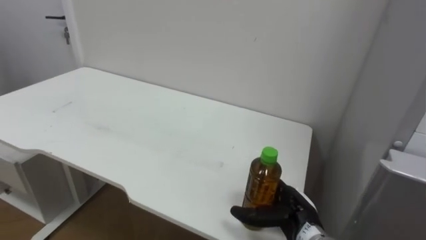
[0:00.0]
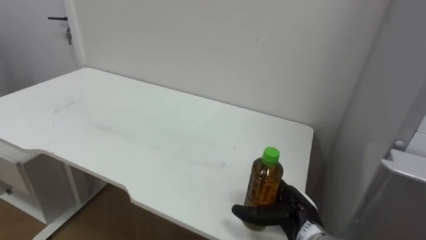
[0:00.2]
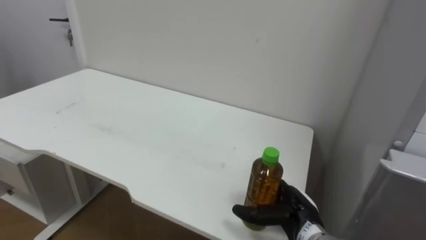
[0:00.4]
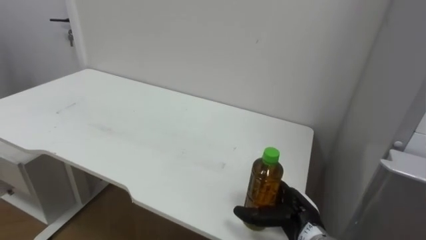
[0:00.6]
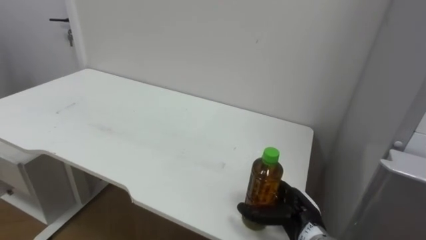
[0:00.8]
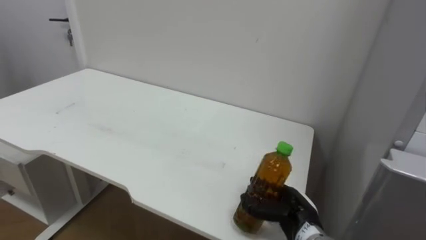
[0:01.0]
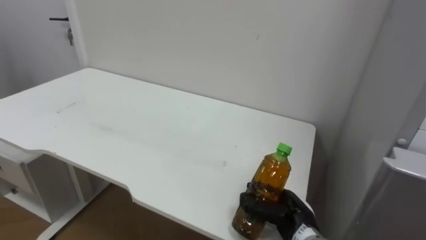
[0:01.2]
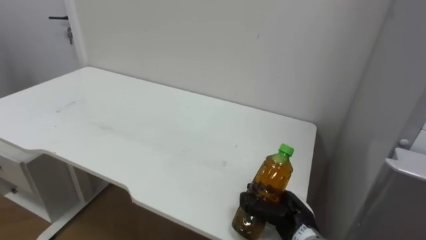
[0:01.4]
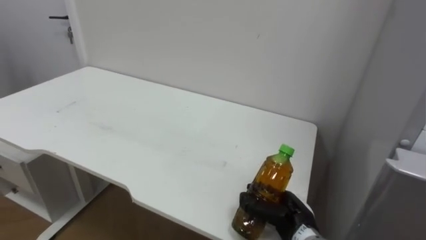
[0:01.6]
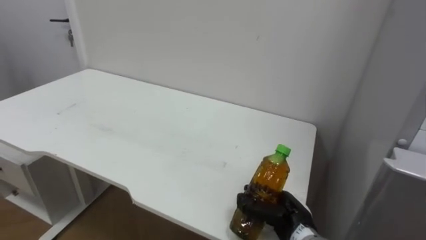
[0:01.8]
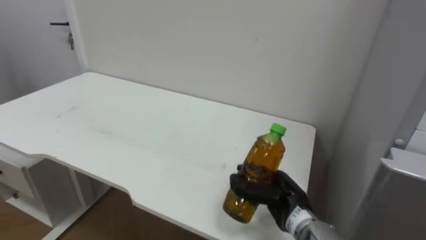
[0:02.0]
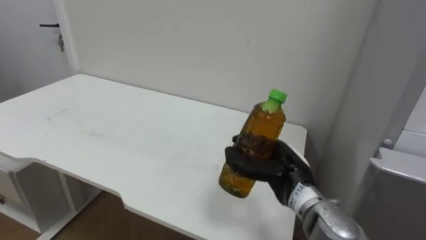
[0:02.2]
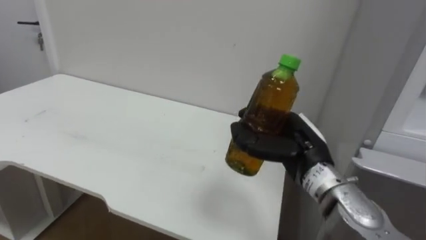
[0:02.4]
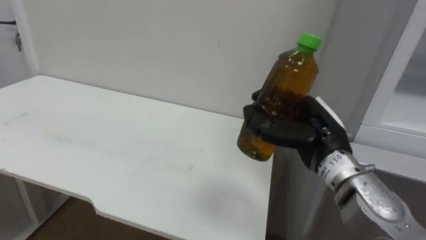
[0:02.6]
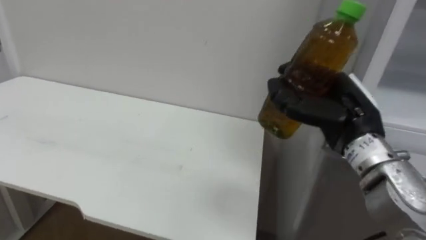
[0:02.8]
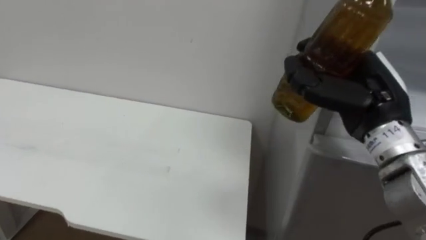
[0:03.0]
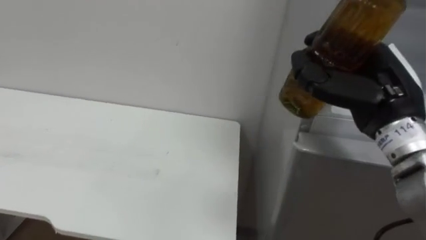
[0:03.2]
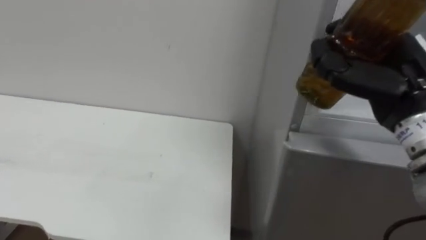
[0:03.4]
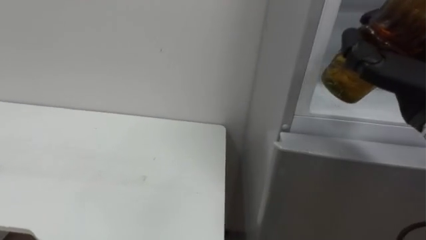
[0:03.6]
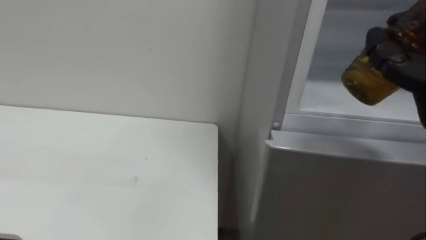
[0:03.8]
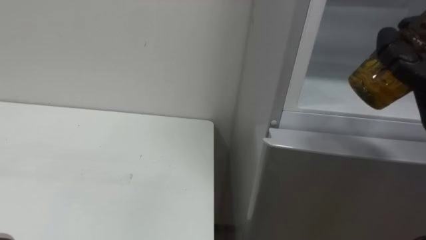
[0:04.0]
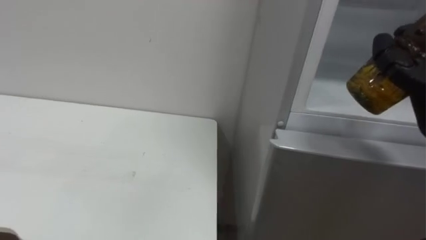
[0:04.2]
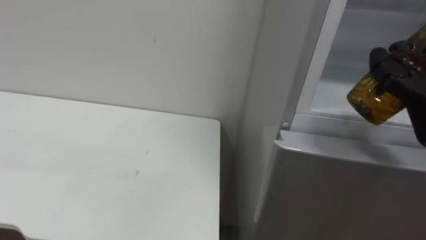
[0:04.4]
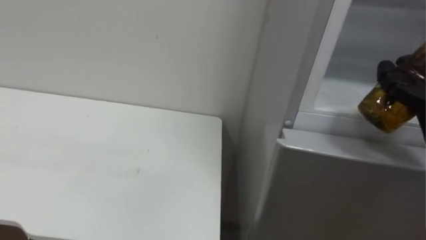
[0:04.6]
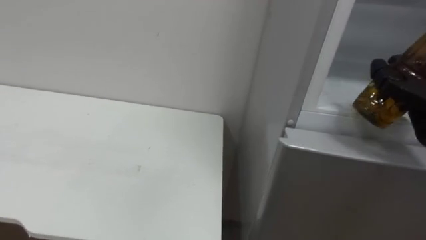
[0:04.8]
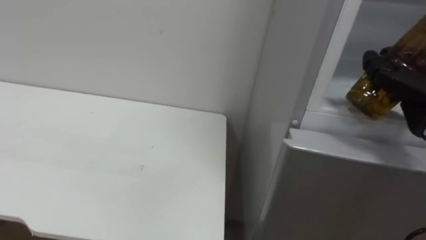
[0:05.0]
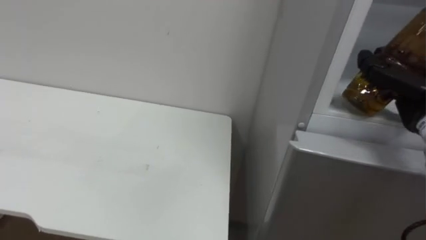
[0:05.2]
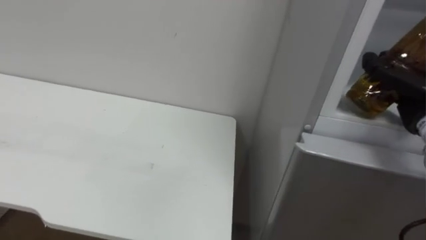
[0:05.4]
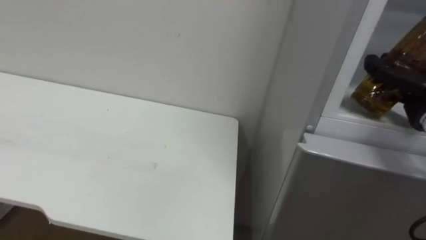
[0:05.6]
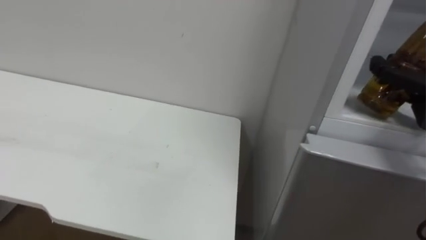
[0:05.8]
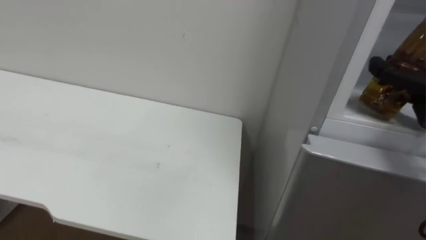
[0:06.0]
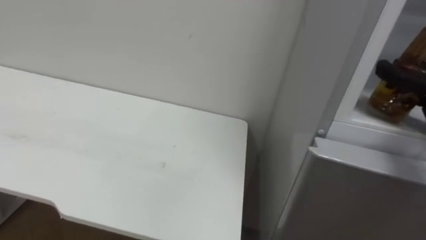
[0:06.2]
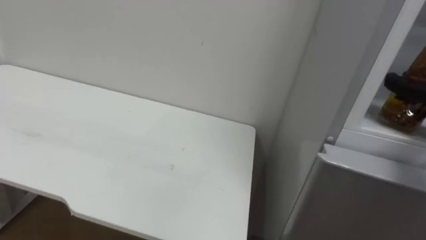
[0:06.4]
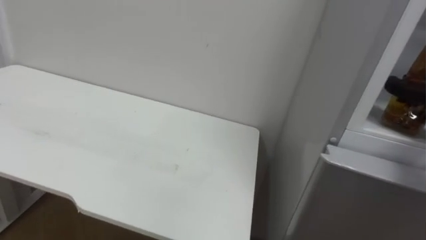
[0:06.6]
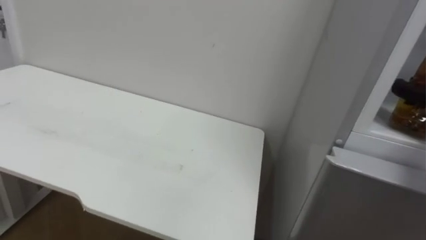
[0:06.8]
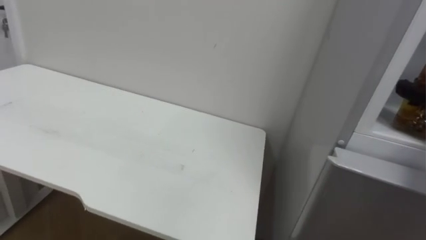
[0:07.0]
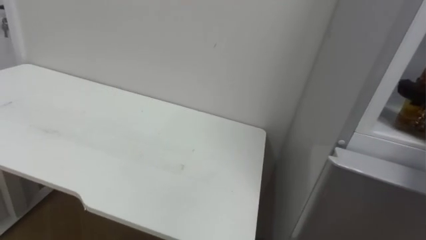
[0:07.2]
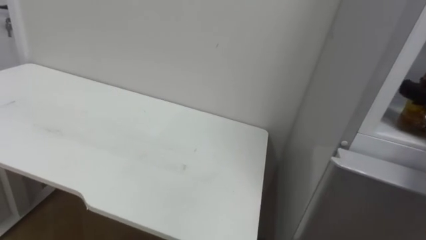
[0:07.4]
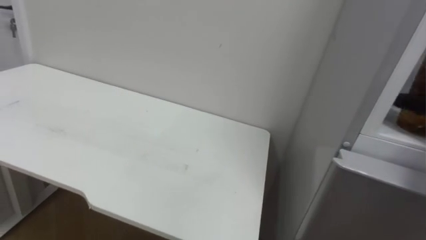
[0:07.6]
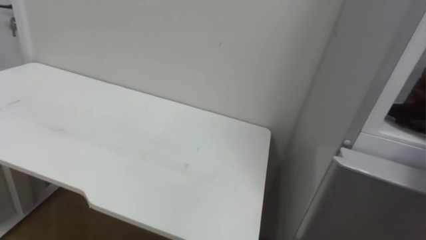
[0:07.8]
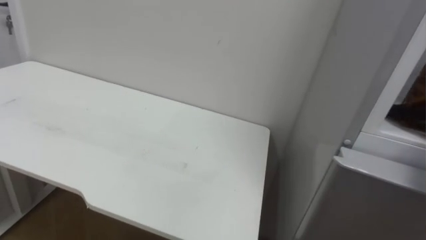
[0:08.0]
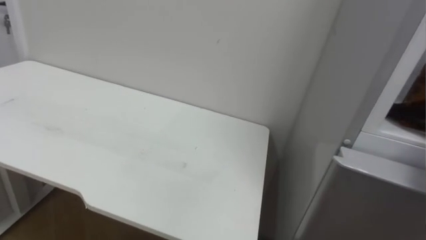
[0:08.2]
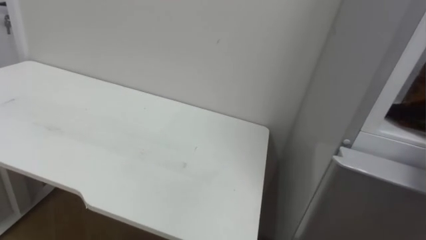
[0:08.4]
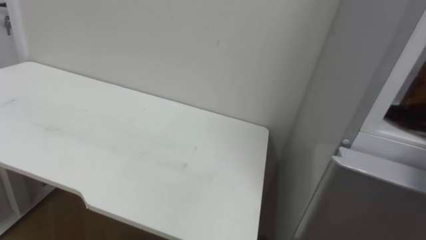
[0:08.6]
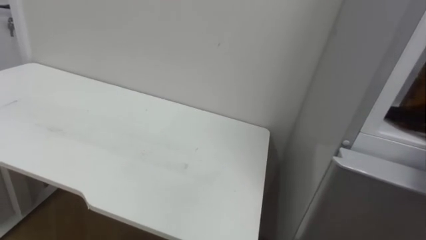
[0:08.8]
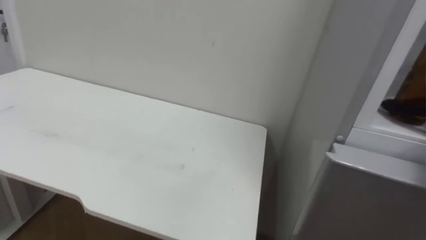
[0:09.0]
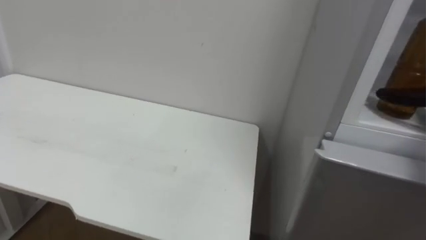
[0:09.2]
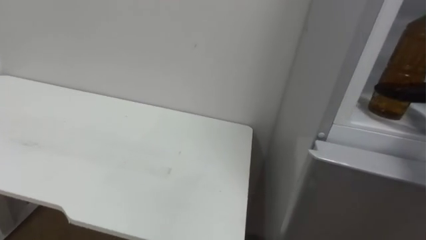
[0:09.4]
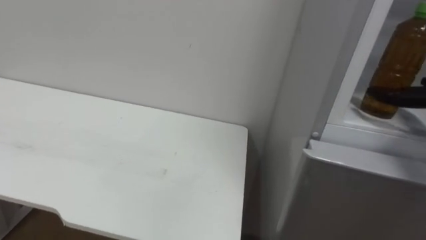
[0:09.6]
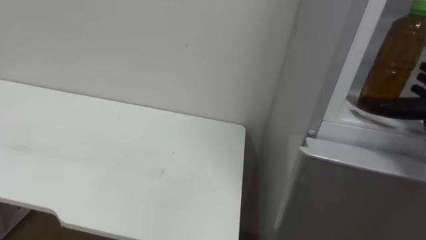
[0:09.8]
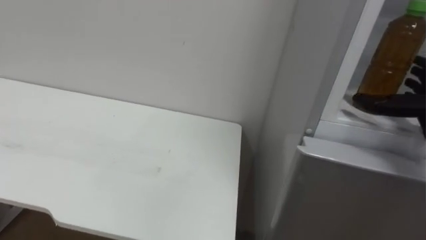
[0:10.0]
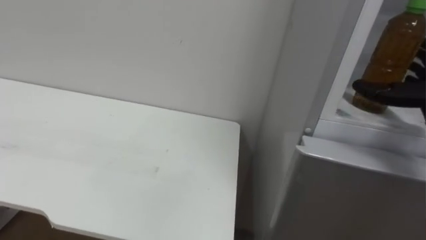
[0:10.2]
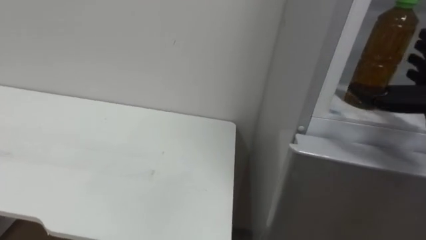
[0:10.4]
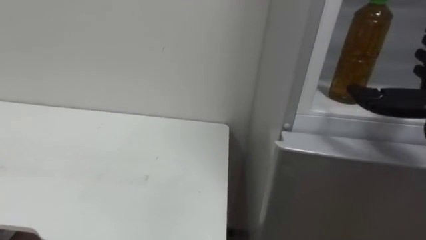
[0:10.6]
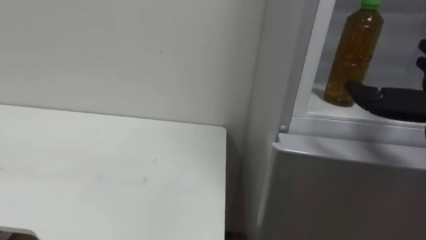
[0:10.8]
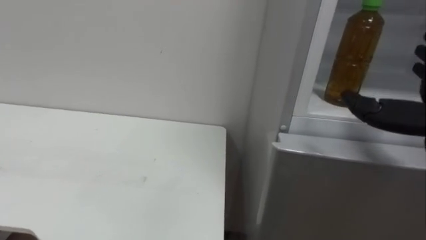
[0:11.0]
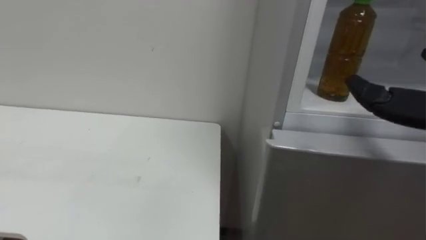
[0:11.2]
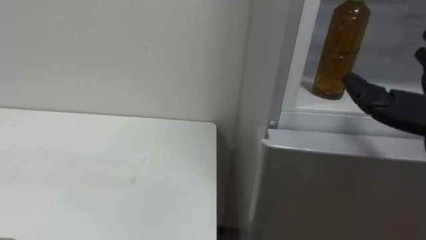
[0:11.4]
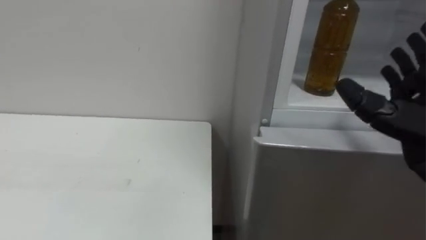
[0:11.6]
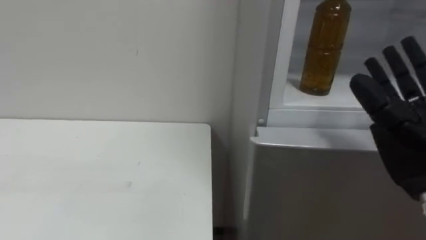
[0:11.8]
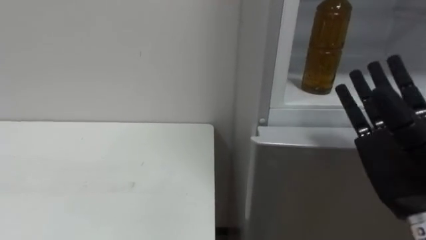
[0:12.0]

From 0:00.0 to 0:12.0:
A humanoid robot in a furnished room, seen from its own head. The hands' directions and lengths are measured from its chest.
Task of the whole recording: Open the upper refrigerator door, put the drink from the table into the refrigerator, and then close the refrigerator door.
From 0:00.0 to 0:01.6: The right hand closes its fingers.
From 0:01.6 to 0:03.0: The right hand goes some 25 cm upward.

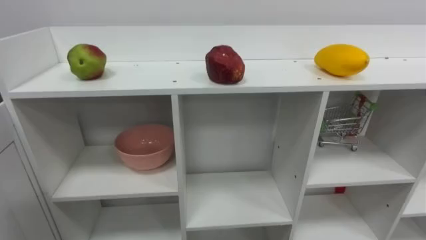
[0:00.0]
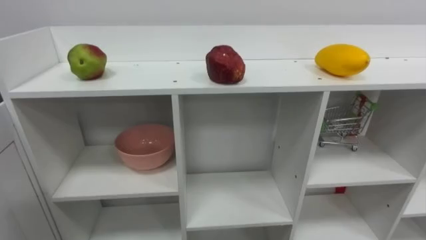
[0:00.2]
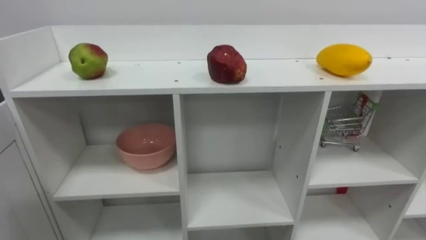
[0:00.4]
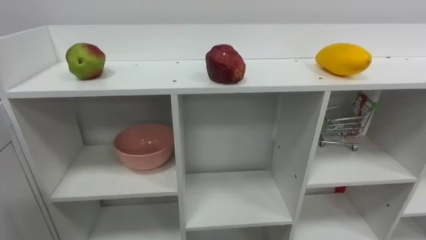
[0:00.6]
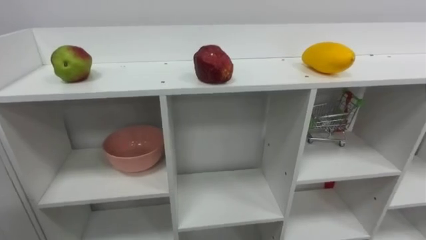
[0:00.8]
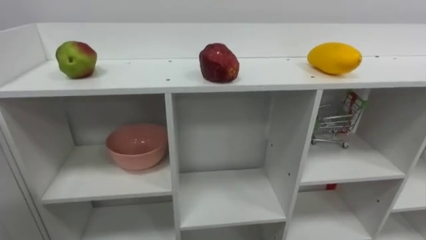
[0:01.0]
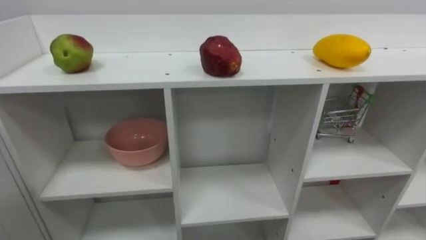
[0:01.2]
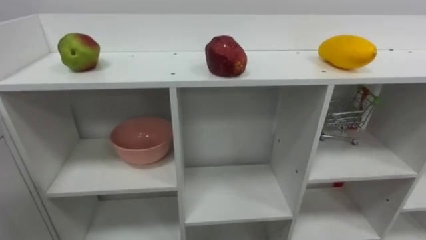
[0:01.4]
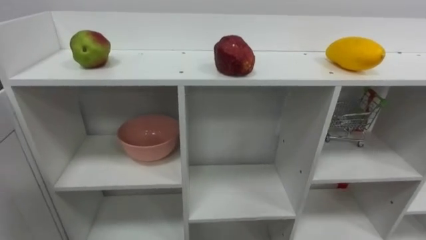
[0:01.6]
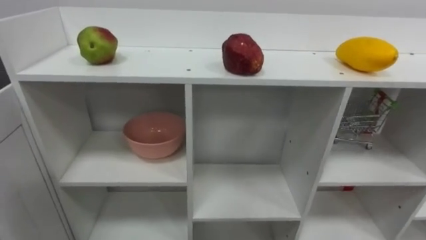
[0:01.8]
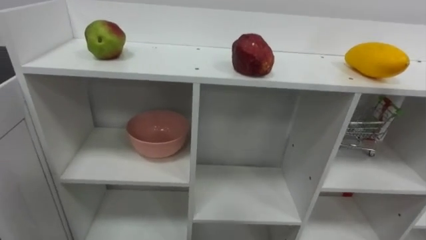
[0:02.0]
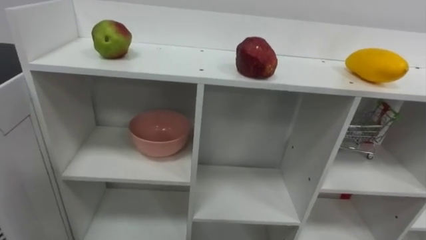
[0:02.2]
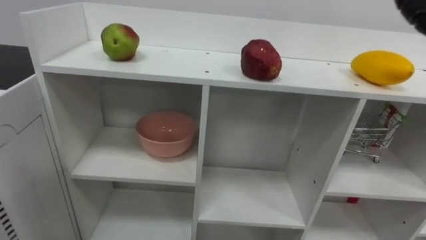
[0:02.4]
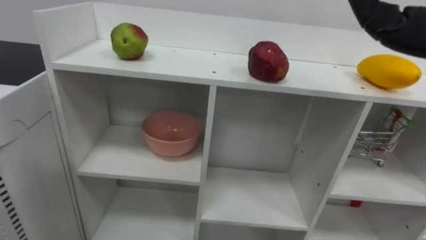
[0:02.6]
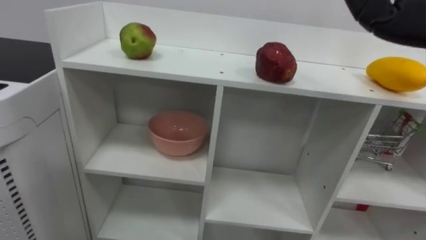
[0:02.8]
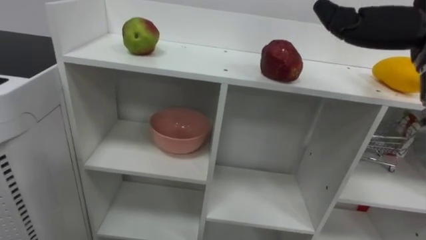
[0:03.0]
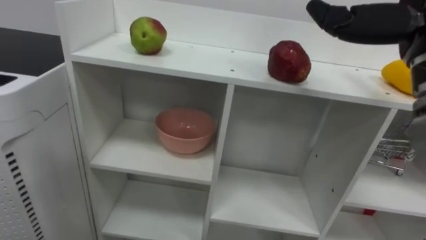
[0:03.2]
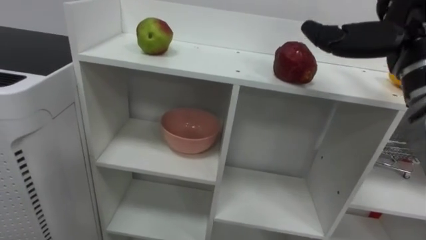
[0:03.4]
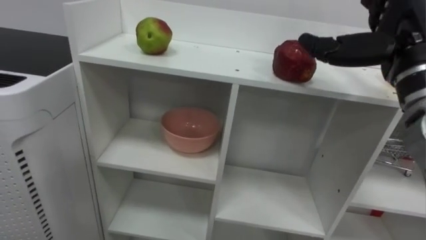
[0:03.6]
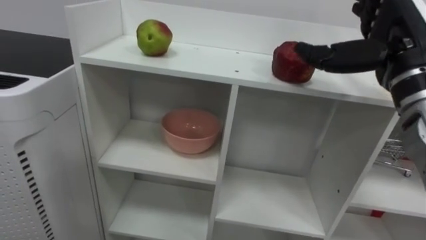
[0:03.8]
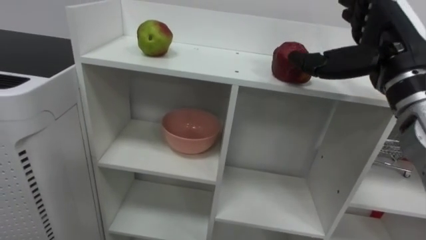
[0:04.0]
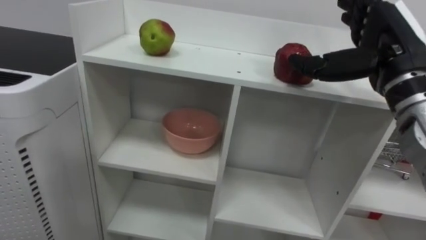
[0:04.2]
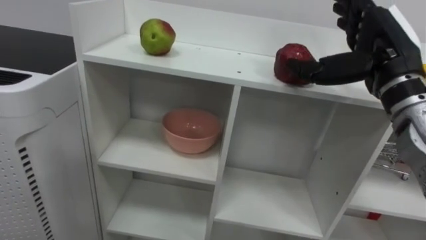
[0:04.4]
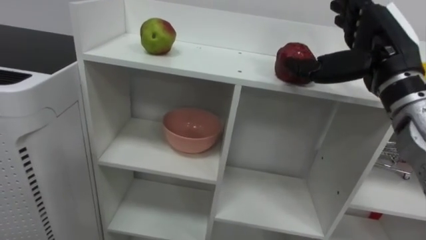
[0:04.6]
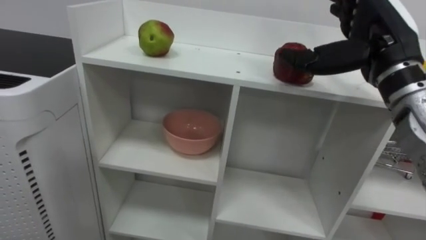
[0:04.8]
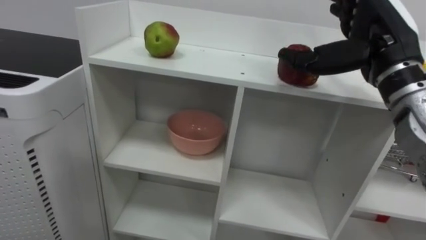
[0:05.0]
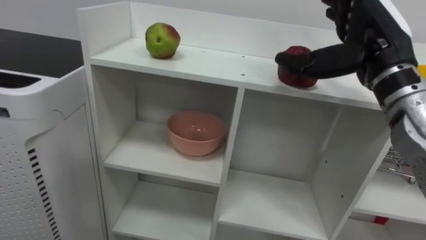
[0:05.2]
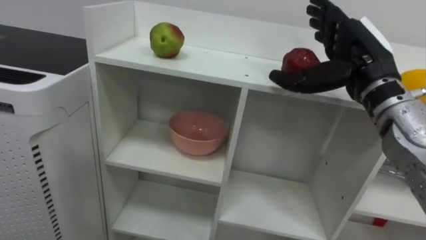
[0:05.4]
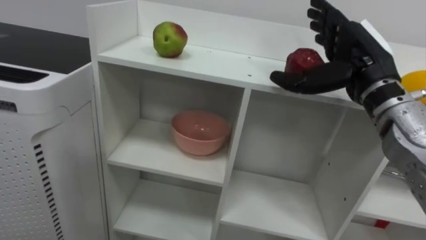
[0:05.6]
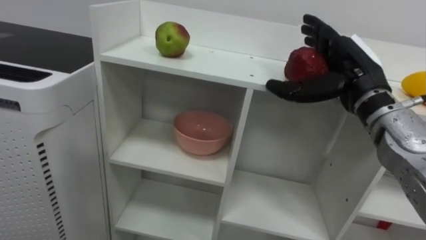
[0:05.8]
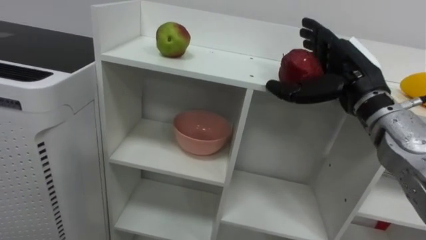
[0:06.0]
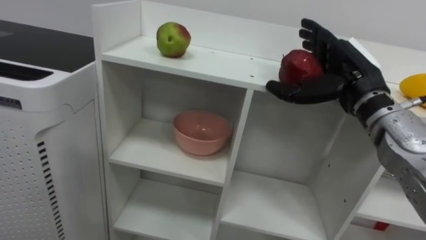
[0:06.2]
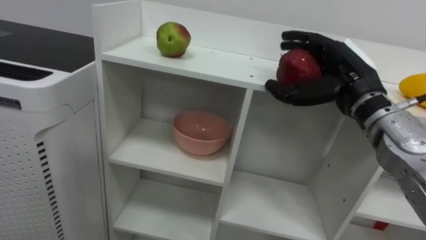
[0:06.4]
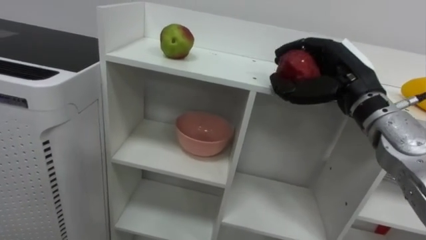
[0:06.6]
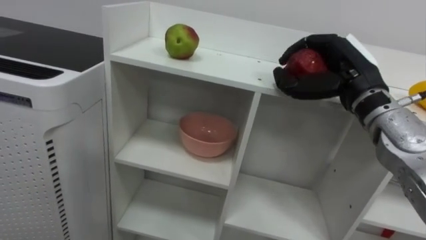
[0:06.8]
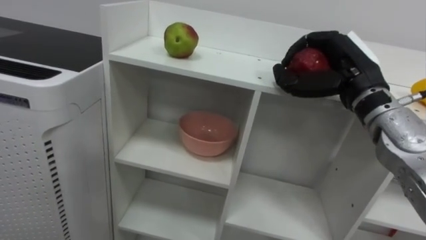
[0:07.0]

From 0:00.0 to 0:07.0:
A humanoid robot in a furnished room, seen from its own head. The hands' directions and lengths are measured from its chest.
Task of the whole recording: Put the apple in the cell in the second column from the left and the second row from the top.
From 0:05.6 to 0:07.0: The right hand closes its fingers.
